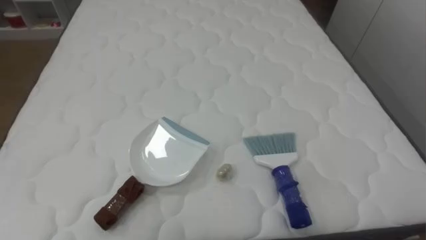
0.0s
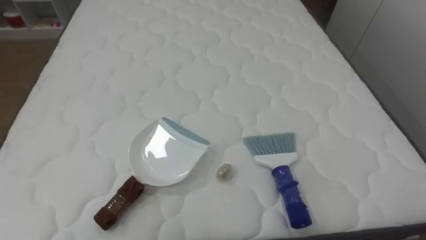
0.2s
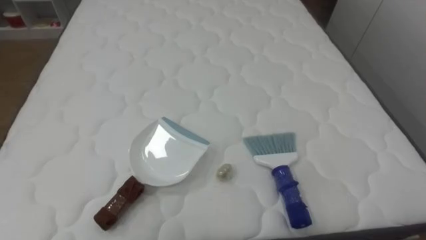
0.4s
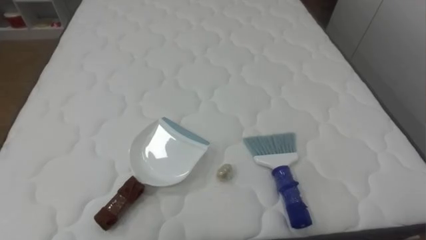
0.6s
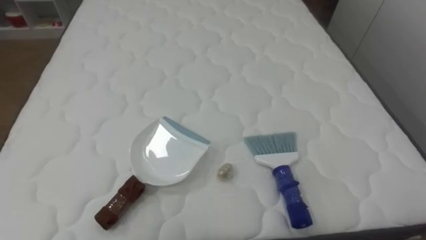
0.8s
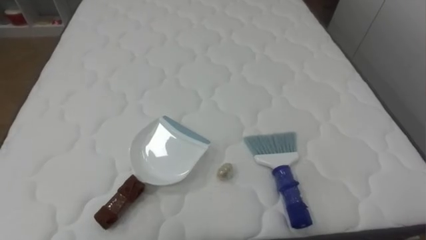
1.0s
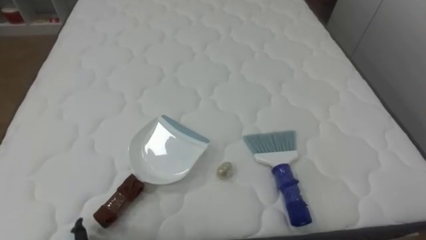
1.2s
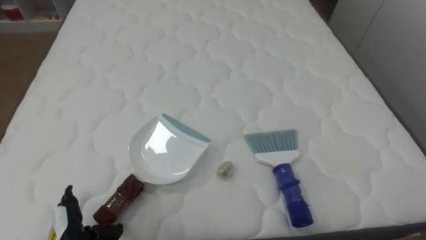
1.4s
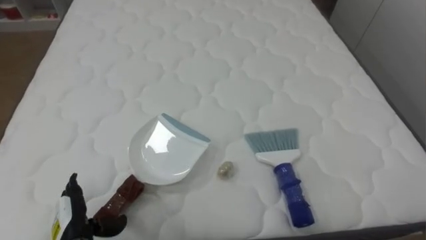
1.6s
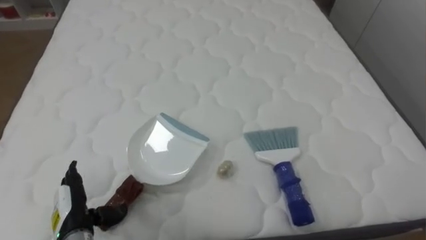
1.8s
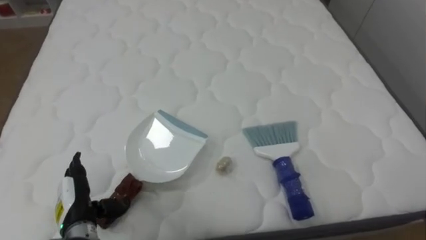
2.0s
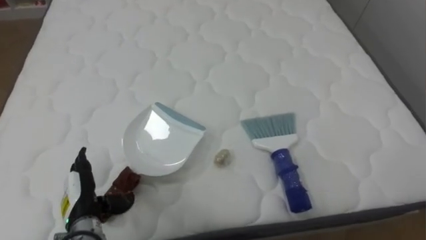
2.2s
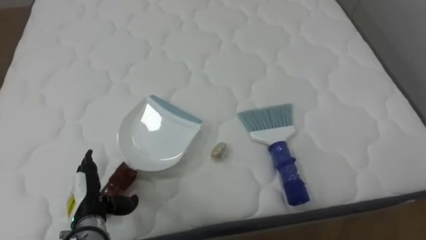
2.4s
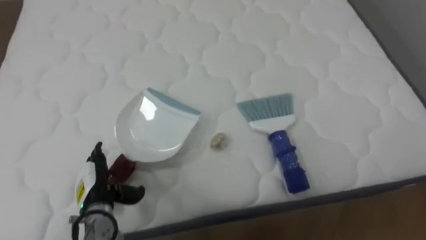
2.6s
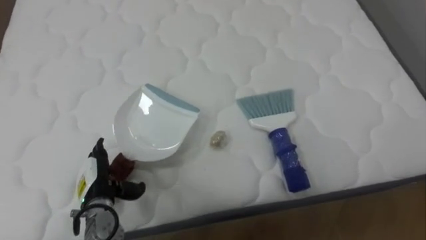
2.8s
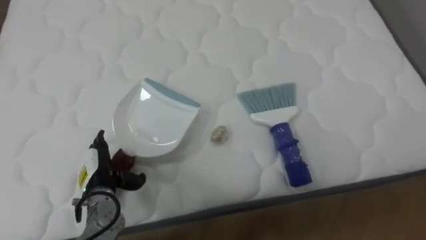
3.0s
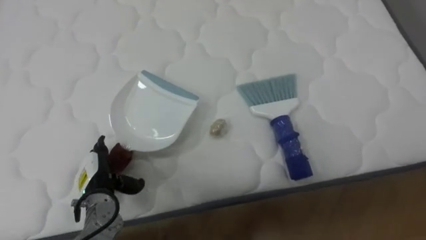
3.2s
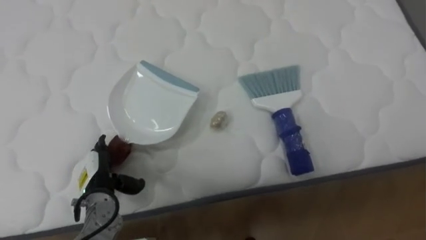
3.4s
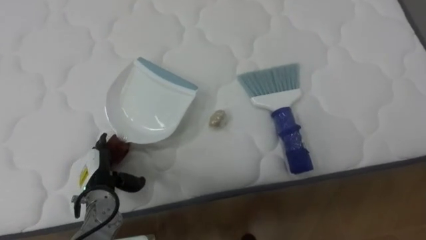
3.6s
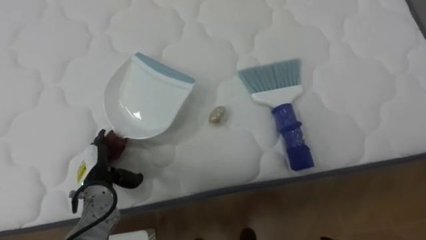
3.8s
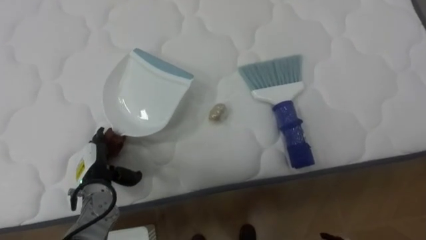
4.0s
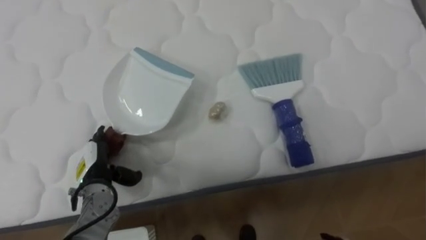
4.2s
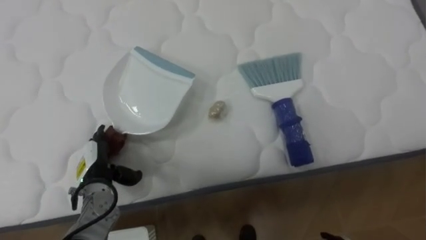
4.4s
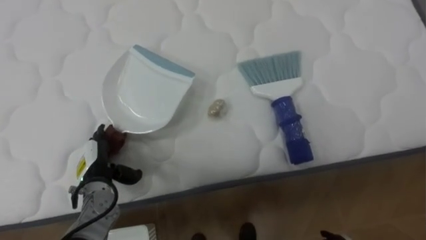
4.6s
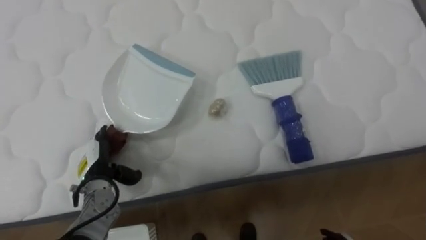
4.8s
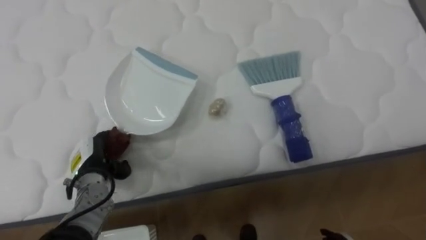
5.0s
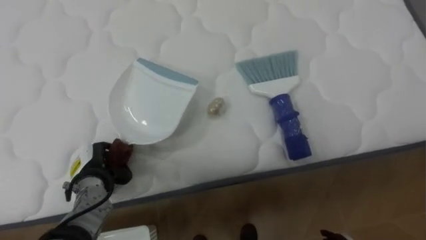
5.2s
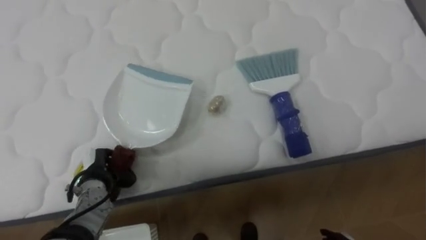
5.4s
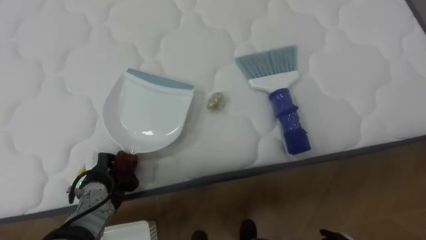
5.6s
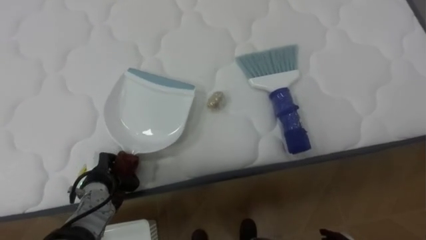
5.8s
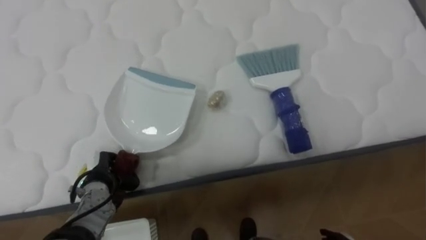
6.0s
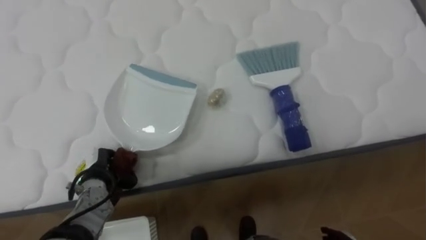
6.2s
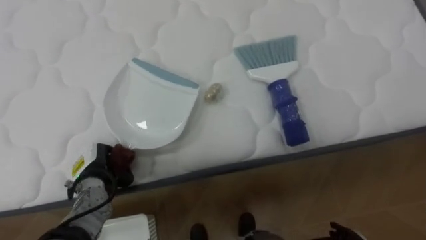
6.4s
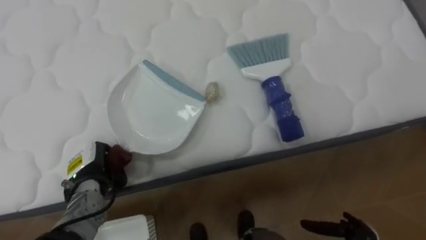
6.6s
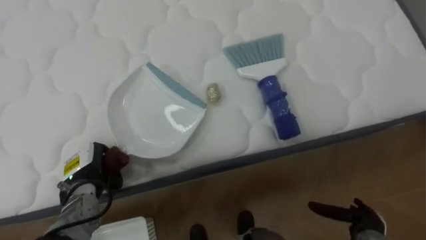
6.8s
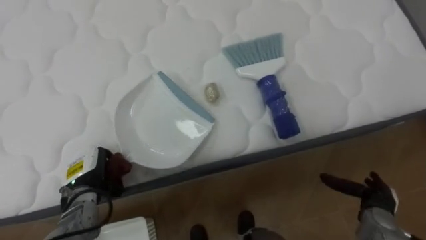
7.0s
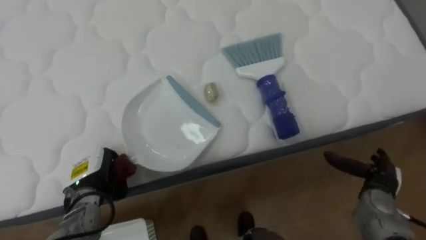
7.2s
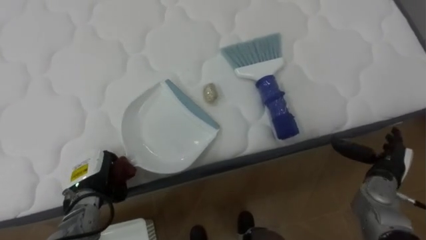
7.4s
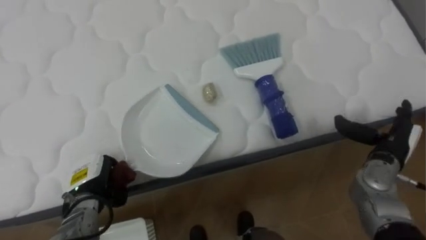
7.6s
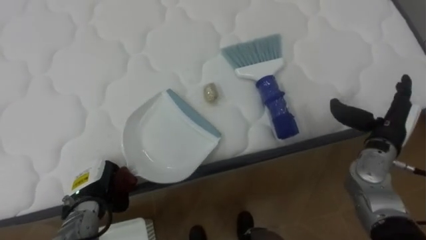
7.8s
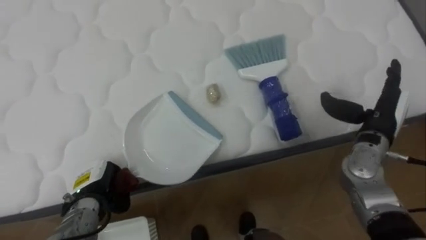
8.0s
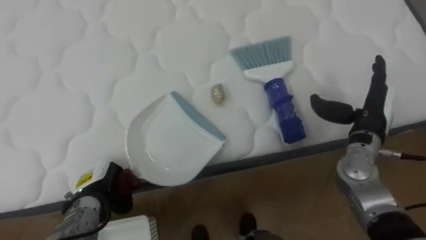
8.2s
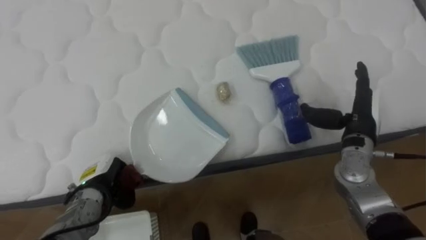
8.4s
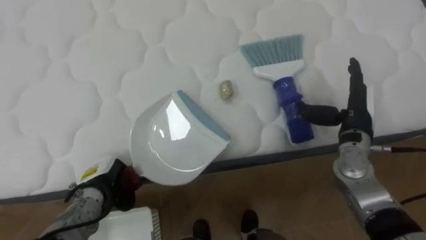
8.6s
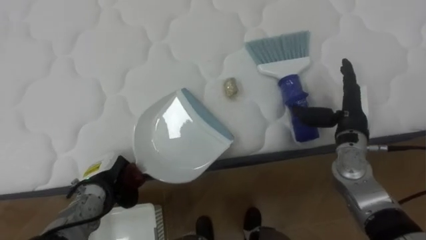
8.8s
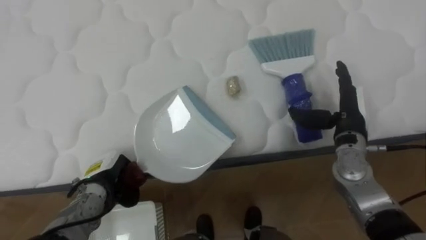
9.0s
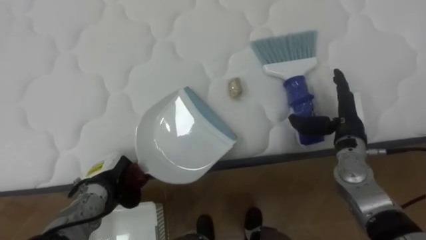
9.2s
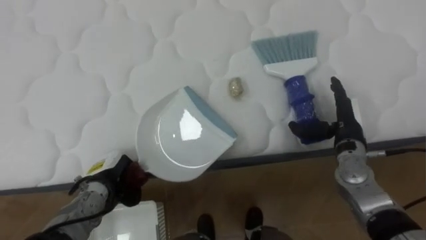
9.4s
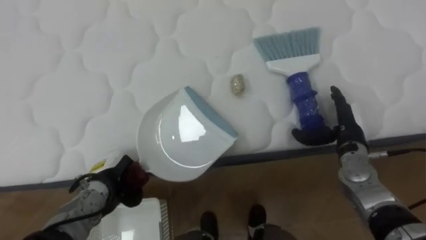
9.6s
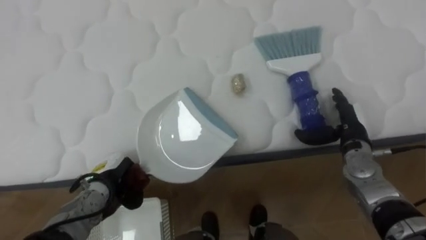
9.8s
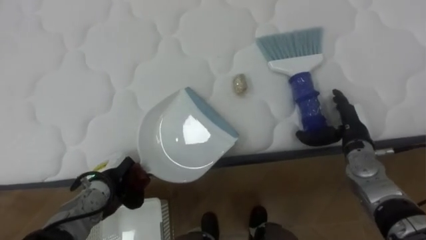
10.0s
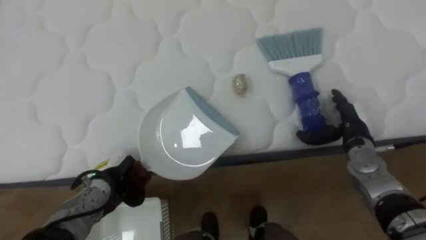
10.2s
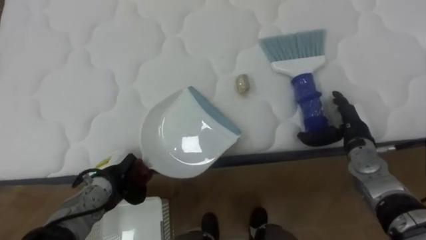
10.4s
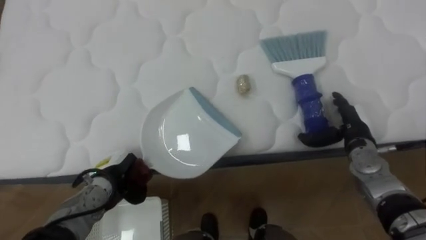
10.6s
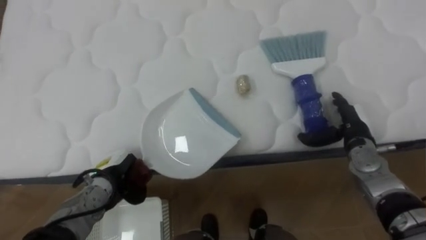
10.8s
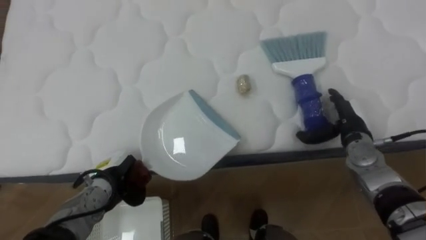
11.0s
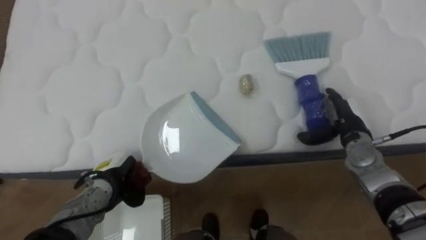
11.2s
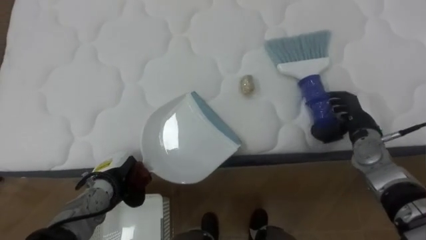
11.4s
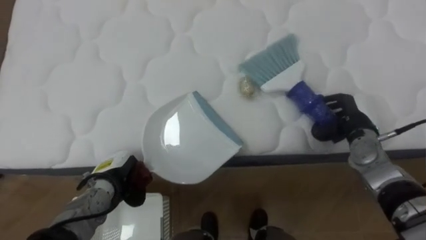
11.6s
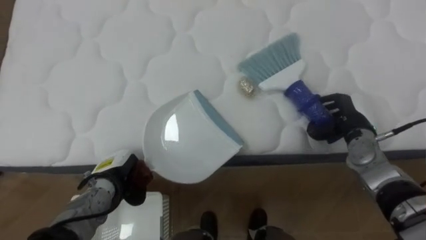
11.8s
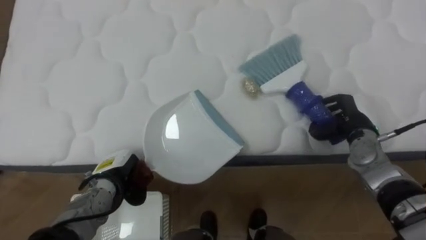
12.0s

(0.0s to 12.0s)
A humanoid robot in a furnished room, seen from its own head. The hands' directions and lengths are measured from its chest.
Task of the whole recording: Pick up the brush on your right and the dustpan on your left. Use the brush to sweep the crumpled paper on the bed into the dustpan, then turn left and empty it into the basket.
1.6s - 3.0s: The left hand goes some 10 cm forward.
4.4s - 6.0s: The left hand closes its fingers.
7.6s - 9.0s: The right hand is displaced to the left and forward by some 10 cm.
9.0s - 10.4s: The right hand goes some 5 cm downward.
10.4s - 12.0s: The right hand closes its fingers.

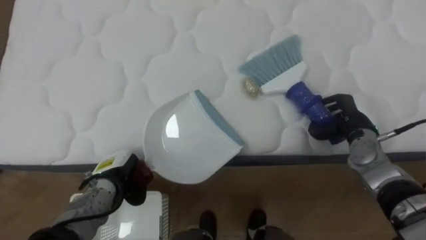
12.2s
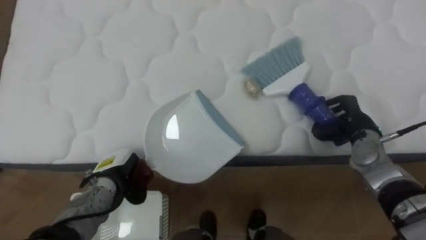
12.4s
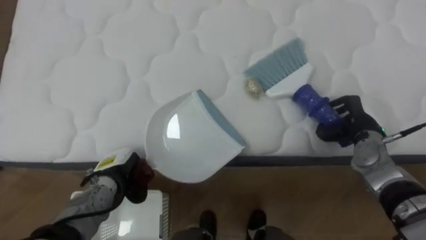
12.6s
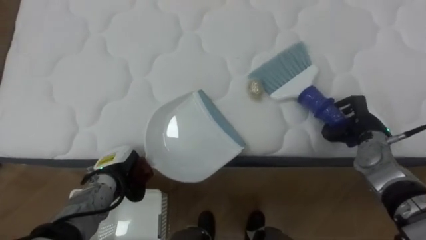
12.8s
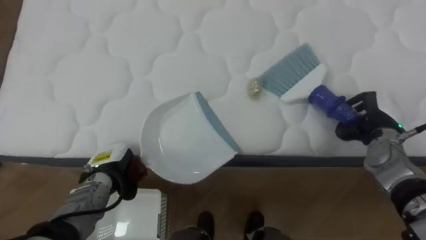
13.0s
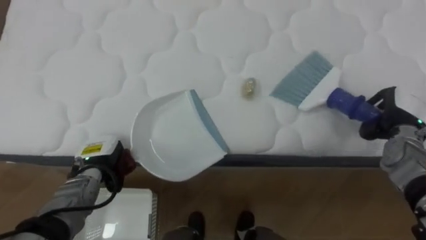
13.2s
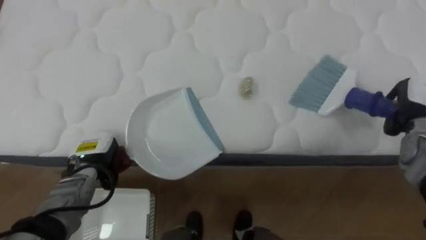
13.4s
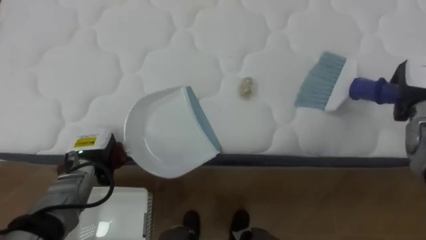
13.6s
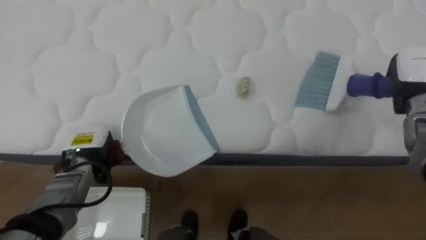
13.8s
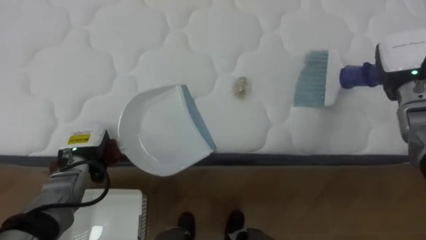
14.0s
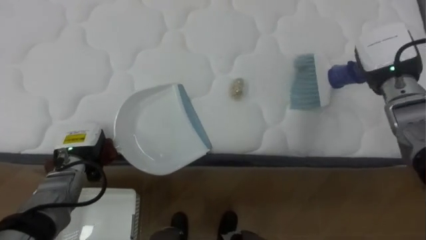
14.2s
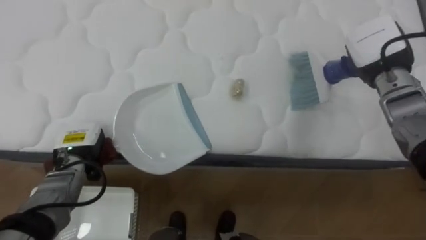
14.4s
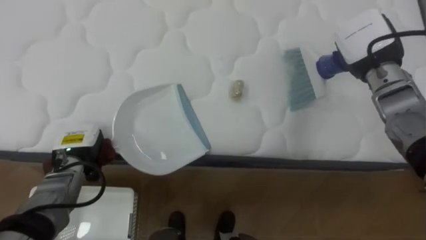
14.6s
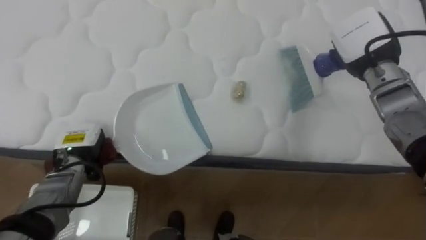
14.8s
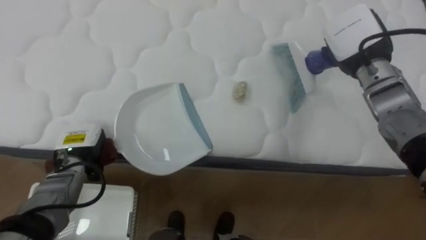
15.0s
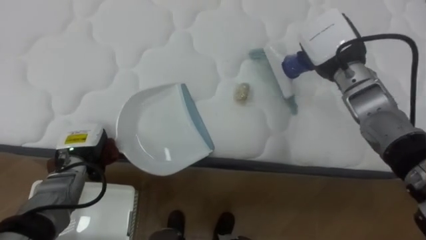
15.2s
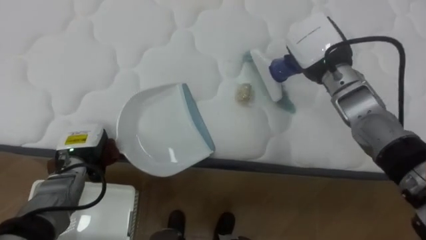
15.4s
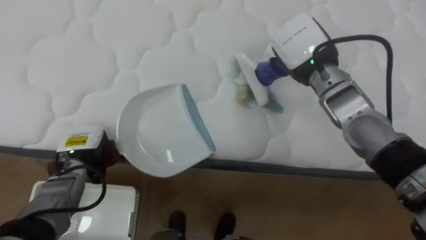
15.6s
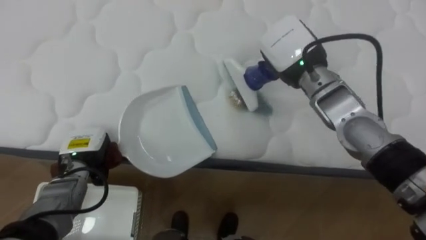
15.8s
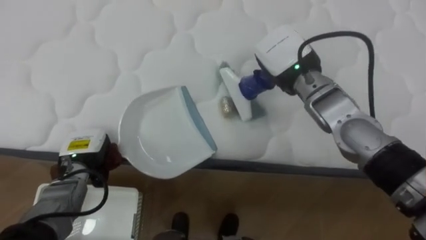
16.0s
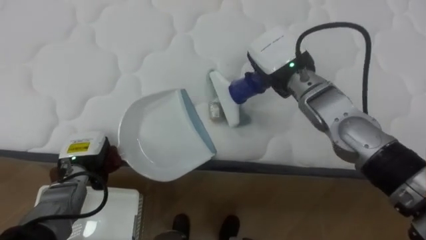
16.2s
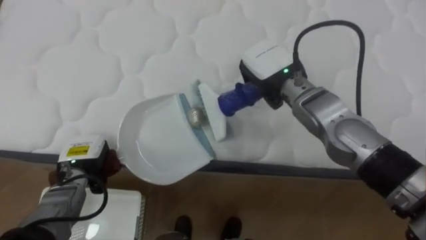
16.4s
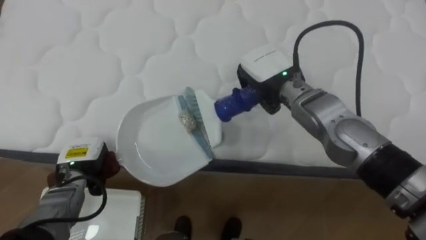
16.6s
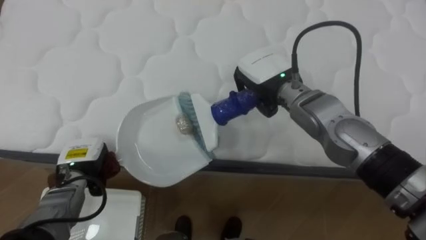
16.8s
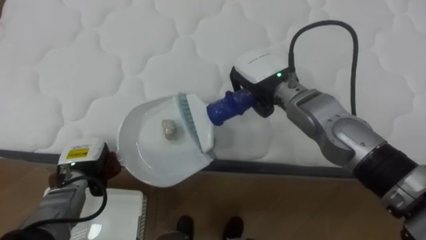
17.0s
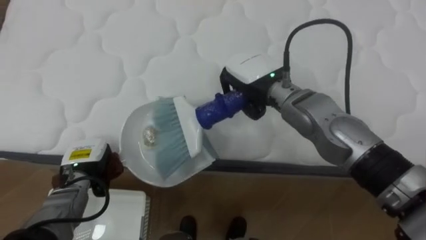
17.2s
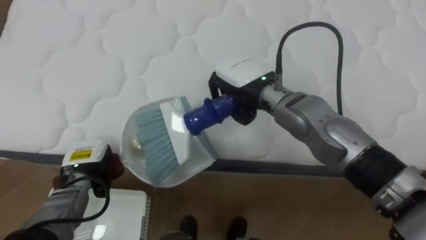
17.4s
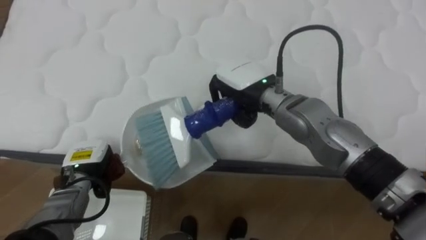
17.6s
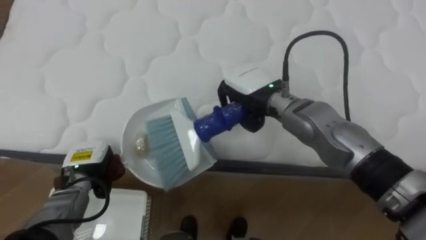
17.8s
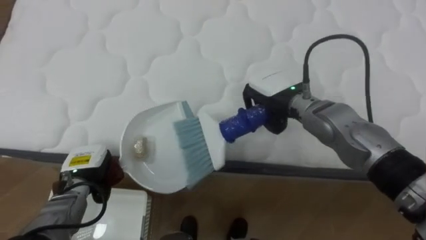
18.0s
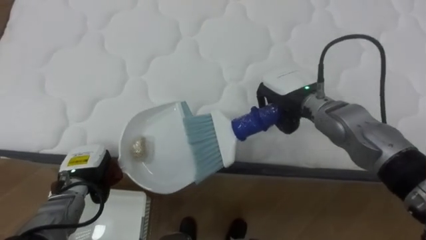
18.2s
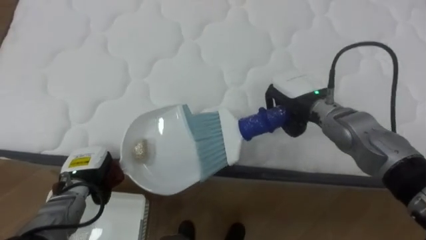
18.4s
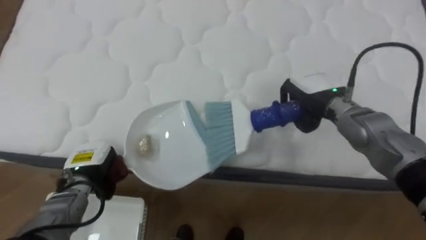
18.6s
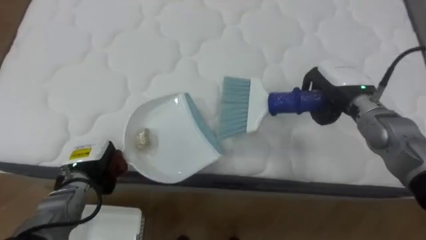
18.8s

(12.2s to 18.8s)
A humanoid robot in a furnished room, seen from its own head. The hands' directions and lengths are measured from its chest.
Task of the whole recording: Pick up the brush on your right and the dustpan on your left. Use the brush to sweep the crumpled paper on the bed into the dustpan, then turn left and empty it into the basket.
12.2s - 13.8s: The right hand heads upward and to the right, covering approximately 15 cm, while the left hand is displaced upward by about 5 cm.
13.8s - 15.4s: The right hand goes approximately 20 cm to the left.
15.4s - 17.2s: The right hand goes approximately 10 cm to the left.
17.2s - 18.8s: The right hand travels to the right by some 15 cm.
